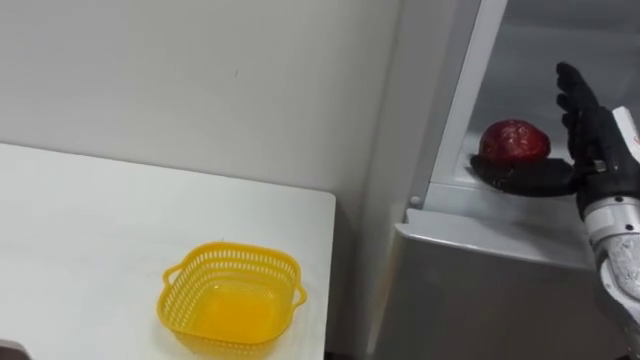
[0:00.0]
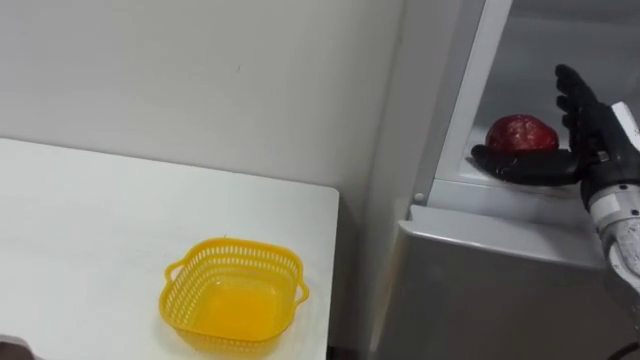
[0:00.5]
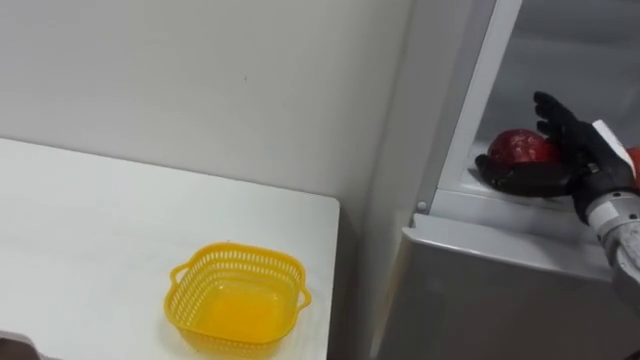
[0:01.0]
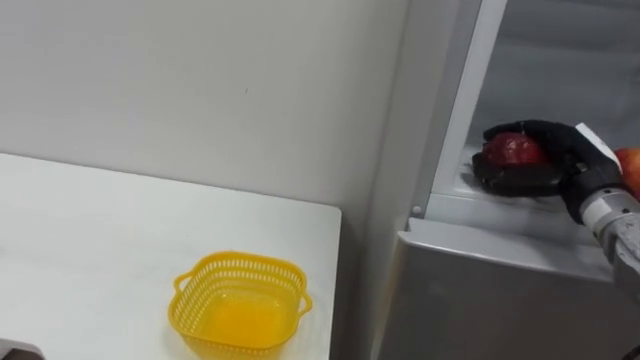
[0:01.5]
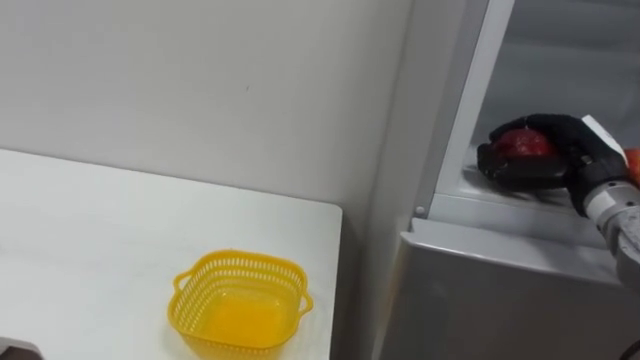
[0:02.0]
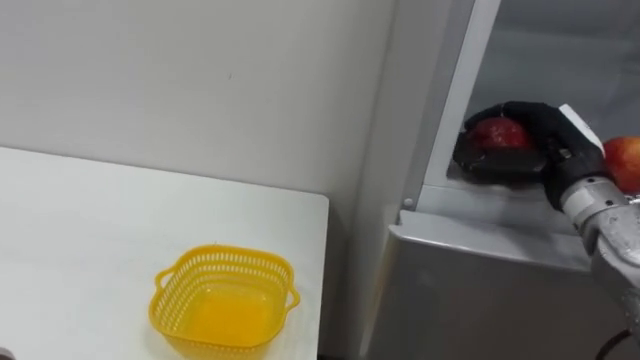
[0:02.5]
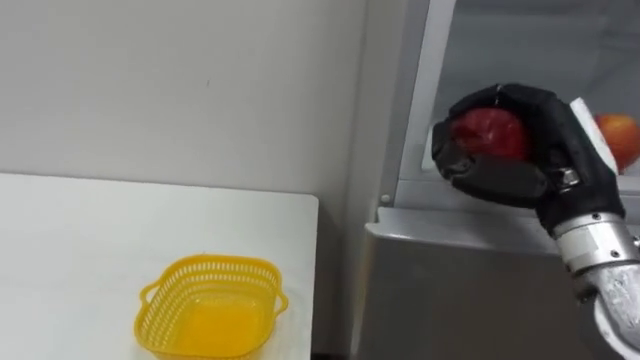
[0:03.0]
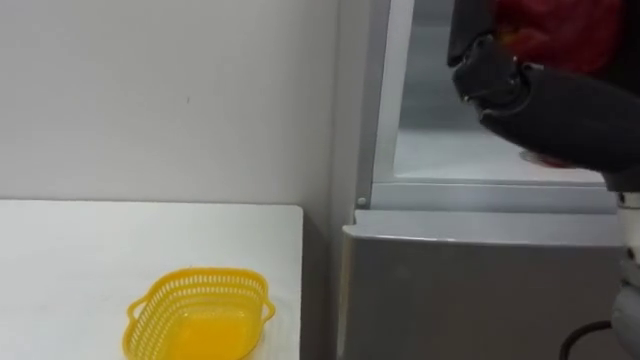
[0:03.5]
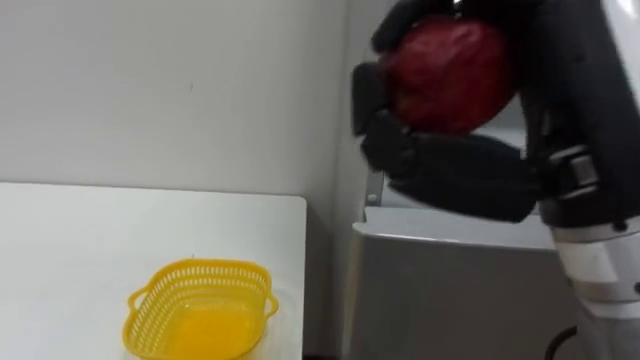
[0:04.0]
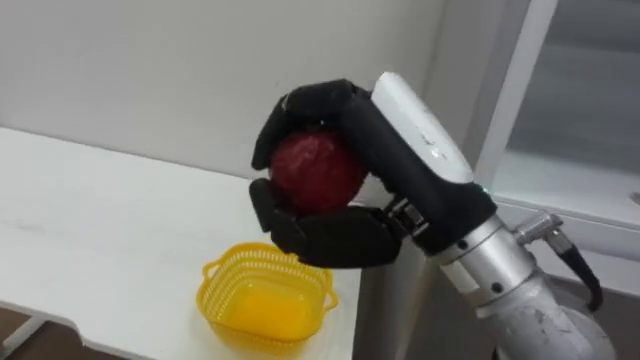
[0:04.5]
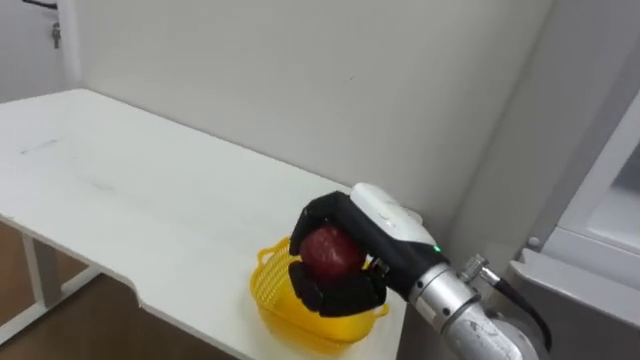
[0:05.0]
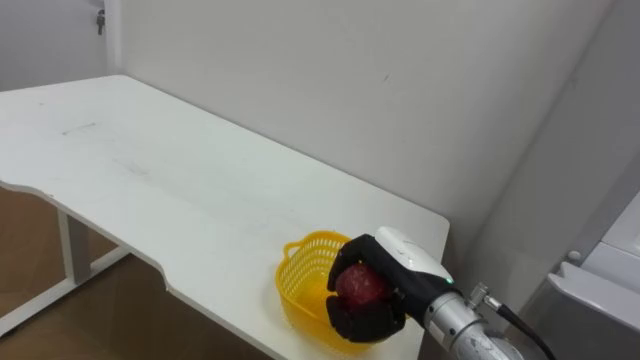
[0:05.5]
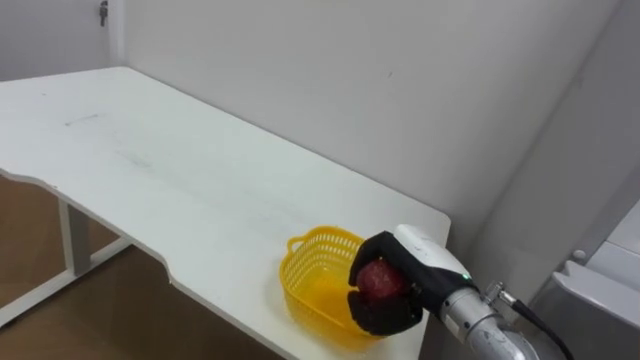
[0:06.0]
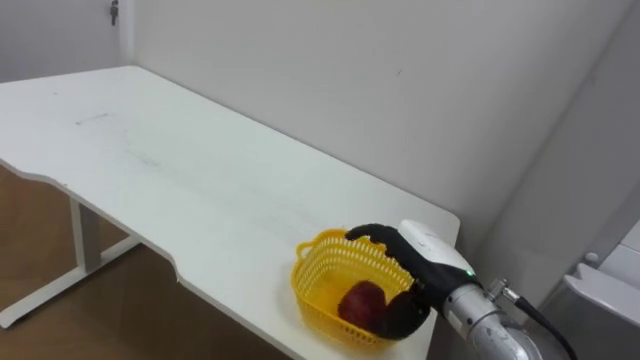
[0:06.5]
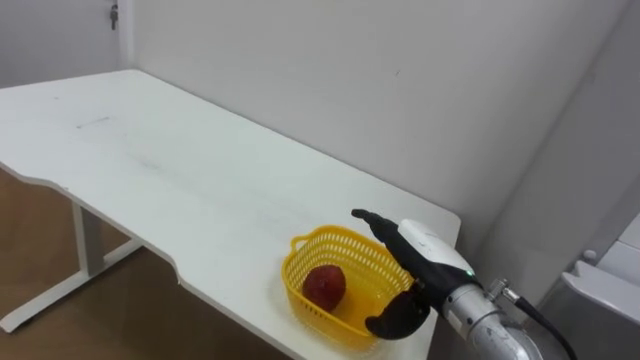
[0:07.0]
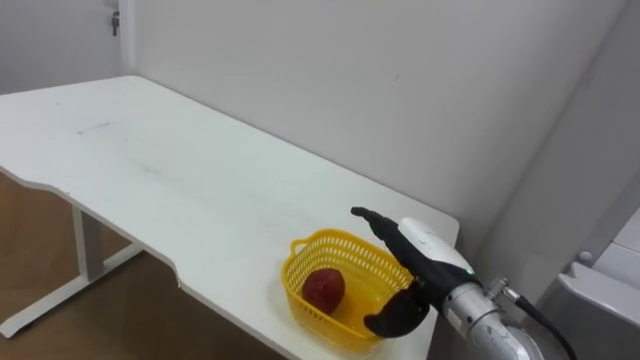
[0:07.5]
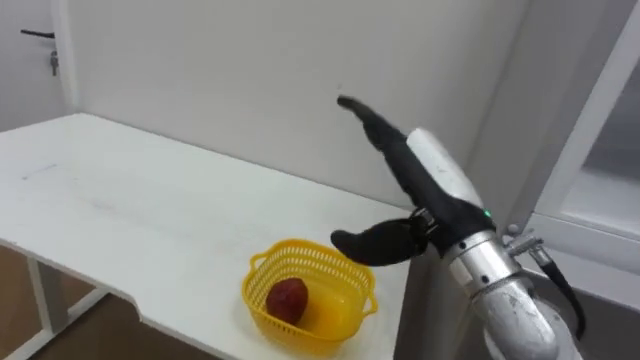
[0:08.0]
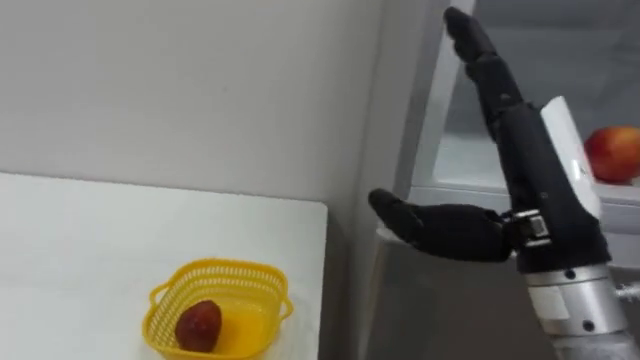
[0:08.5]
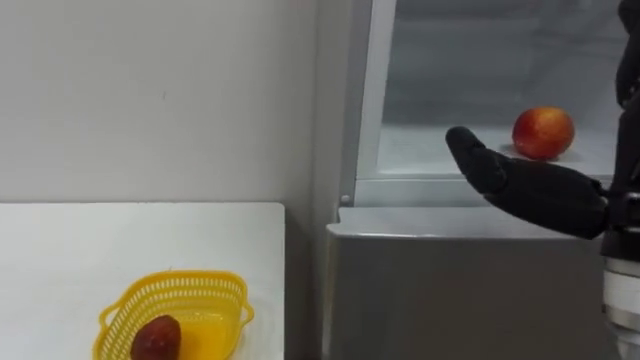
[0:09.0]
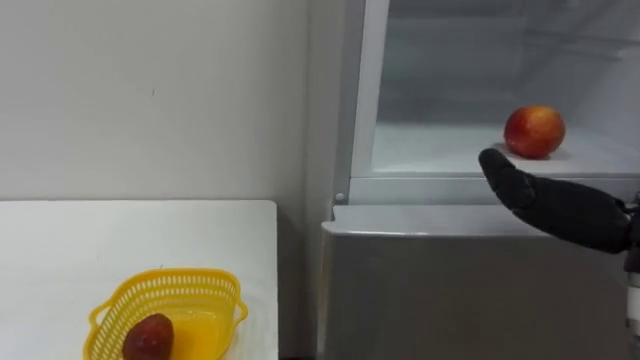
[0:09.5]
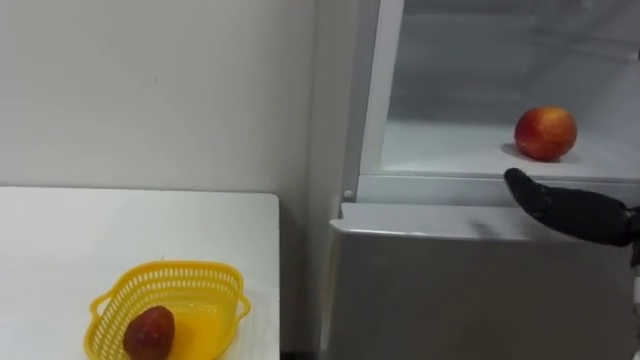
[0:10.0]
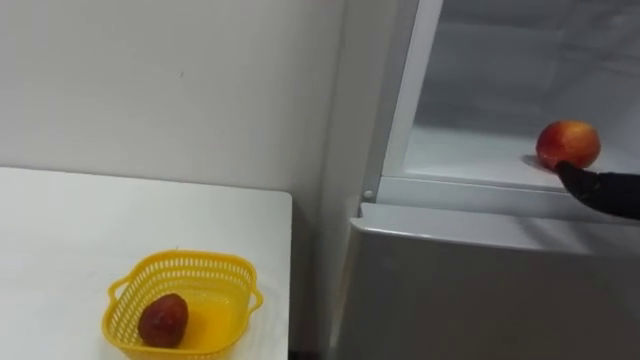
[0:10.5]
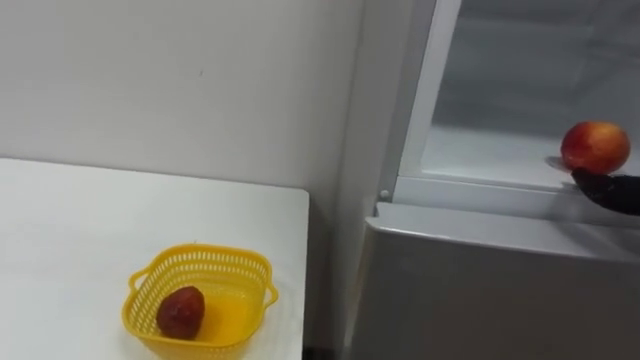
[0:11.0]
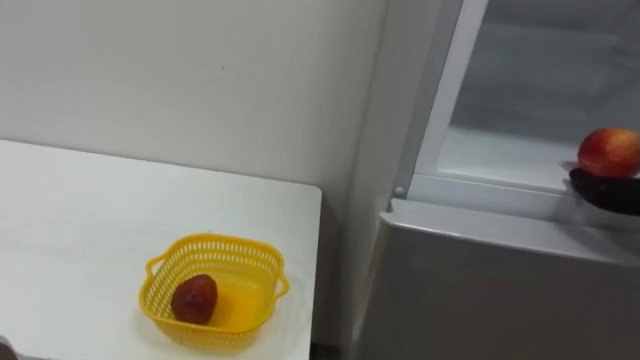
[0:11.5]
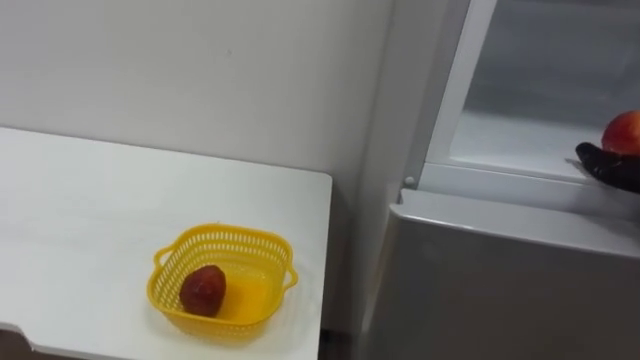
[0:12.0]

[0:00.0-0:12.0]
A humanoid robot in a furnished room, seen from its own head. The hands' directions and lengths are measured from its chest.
Task of the whole recording: Open the refrigerator door, take out the apple and the pomegranate, place them in the fruit basket on the left, and close the refrigerator door.
0:00.0 to 0:02.0: The right hand closes its fingers.
0:02.0 to 0:04.0: The right hand goes some 25 cm backward, upward and to the left.
0:04.0 to 0:06.0: The right hand shifts approximately 30 cm downward and forward.
0:06.0 to 0:08.0: The right hand moves upward, approximately 10 cm, and opens up.

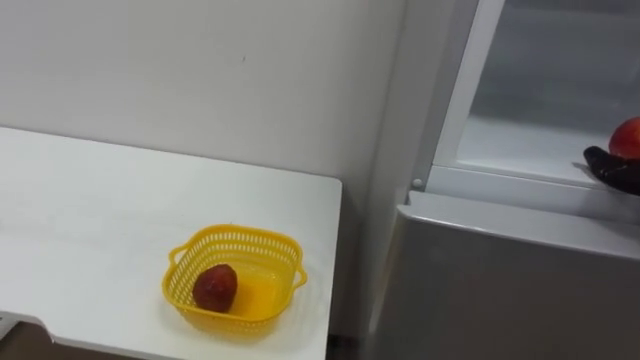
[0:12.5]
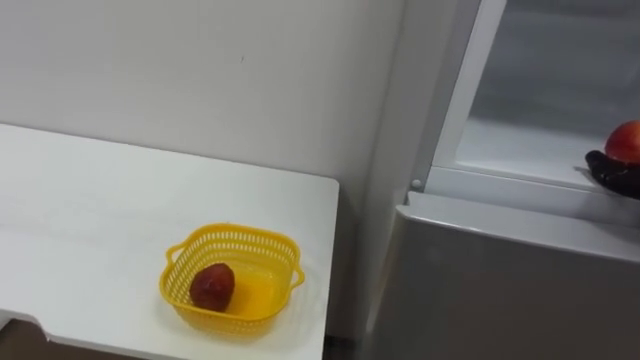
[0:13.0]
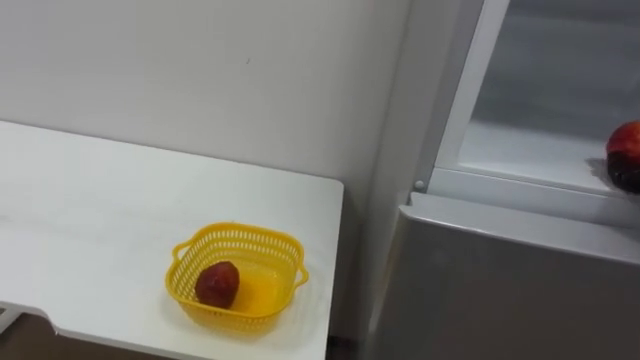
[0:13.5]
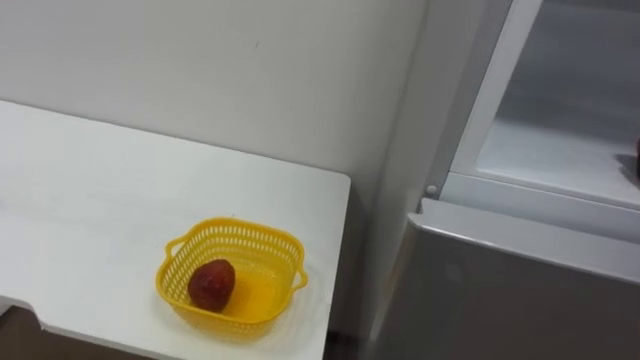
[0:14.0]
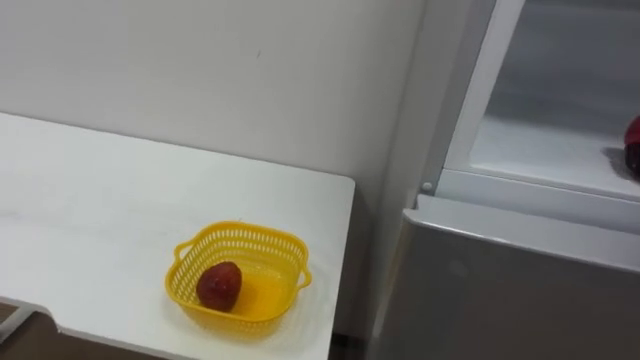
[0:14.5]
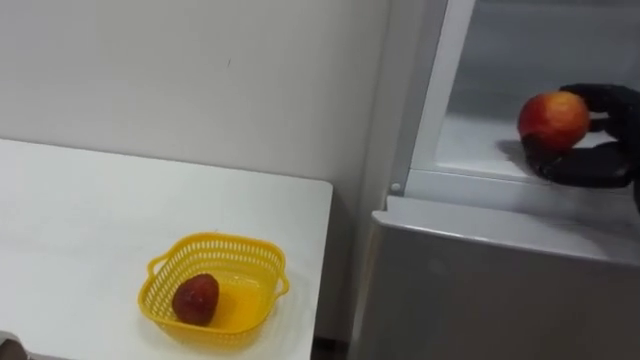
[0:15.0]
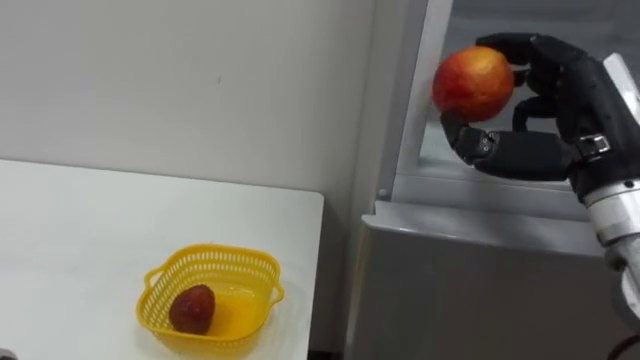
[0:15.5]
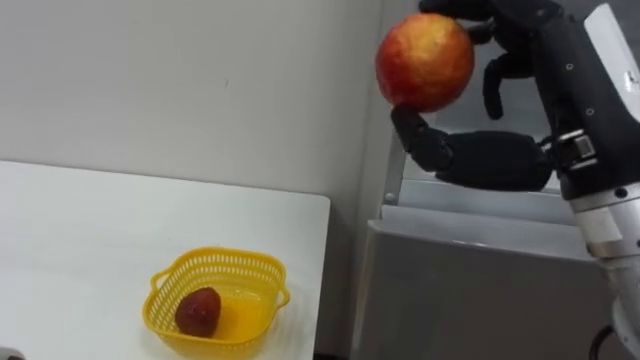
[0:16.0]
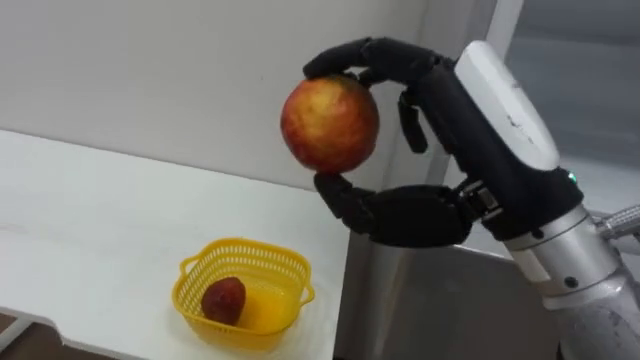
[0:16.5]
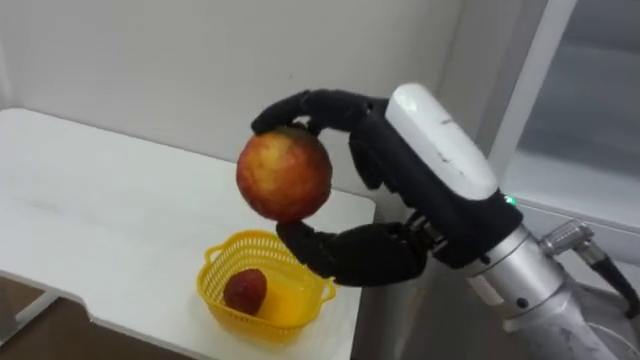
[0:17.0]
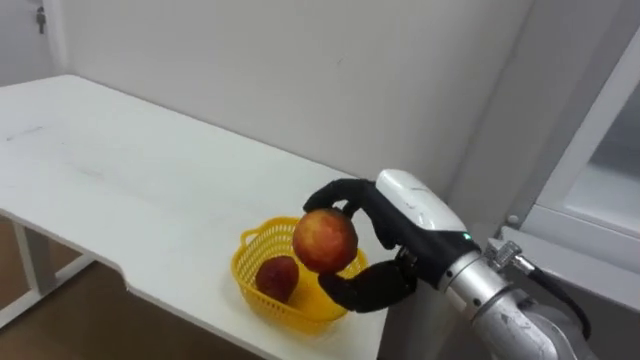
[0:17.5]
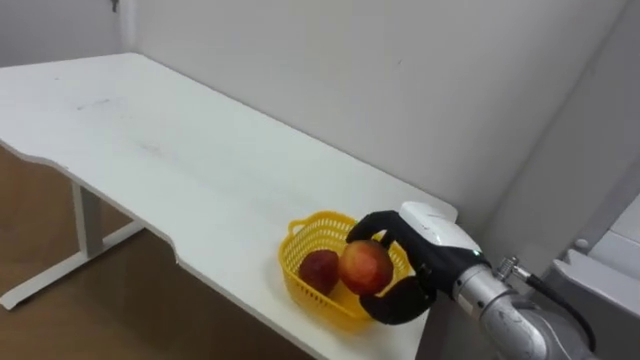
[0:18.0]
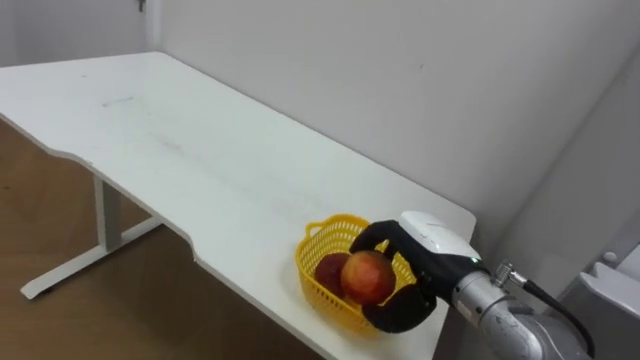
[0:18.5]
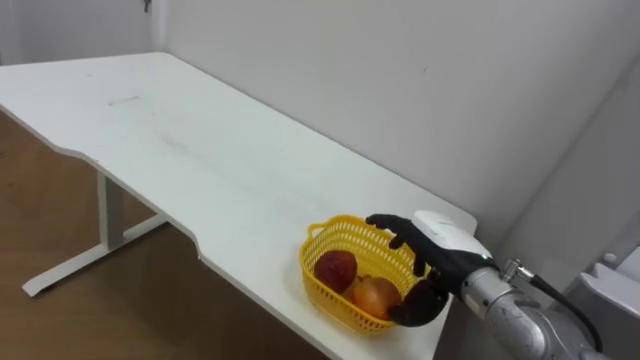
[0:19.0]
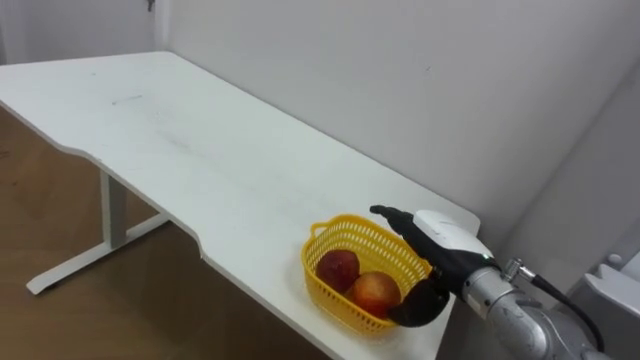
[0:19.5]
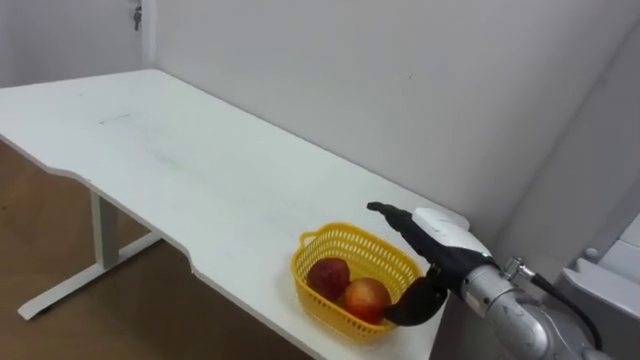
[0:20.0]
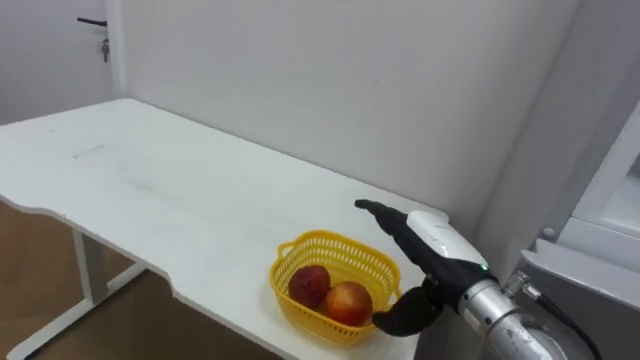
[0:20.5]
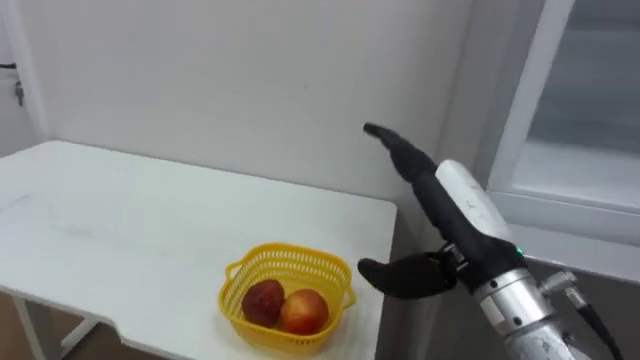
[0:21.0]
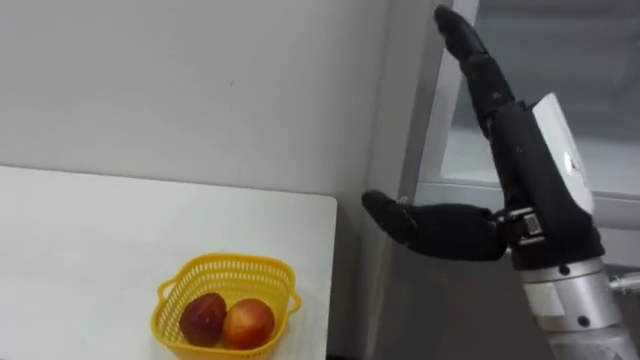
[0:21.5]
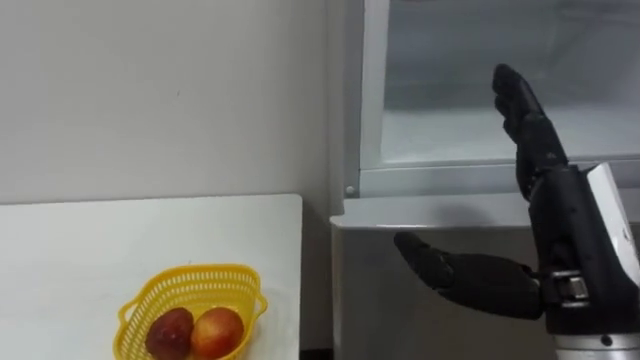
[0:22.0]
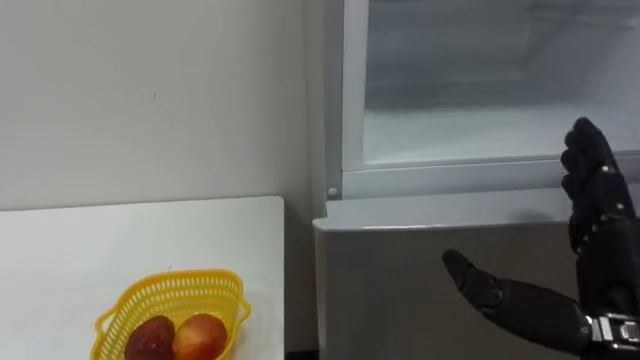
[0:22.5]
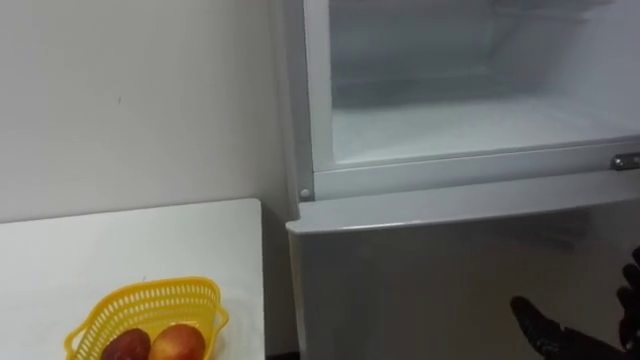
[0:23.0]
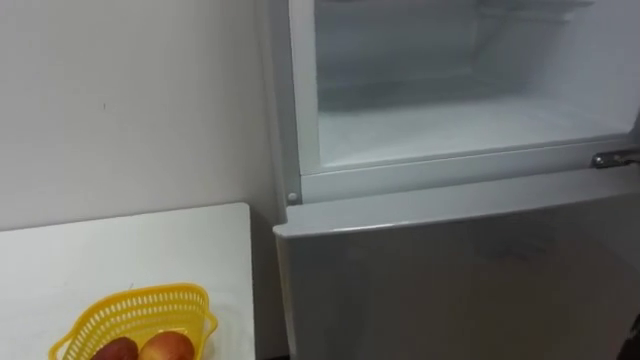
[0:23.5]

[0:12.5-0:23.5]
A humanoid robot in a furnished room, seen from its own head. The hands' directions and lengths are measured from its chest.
Task of the whole recording: Open the refrigerator door, take out the apple and the pomegranate, place them in the fruit basket on the left, and close the refrigerator door.
0:16.0 to 0:18.0: The right hand is displaced downward and forward by some 20 cm.
0:18.0 to 0:20.0: The right hand opens up.
0:20.0 to 0:21.5: The right hand heads upward and backward, covering approximately 20 cm.
